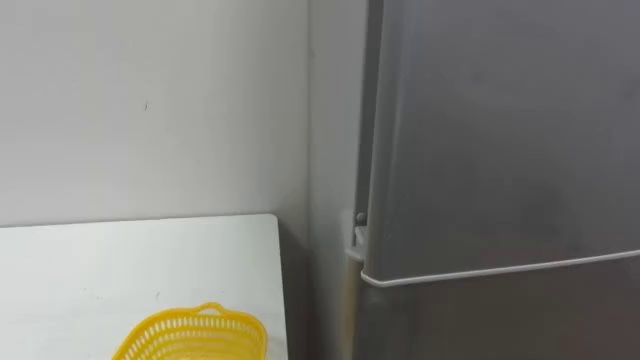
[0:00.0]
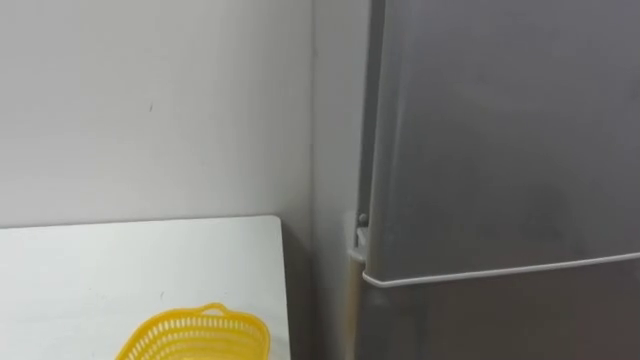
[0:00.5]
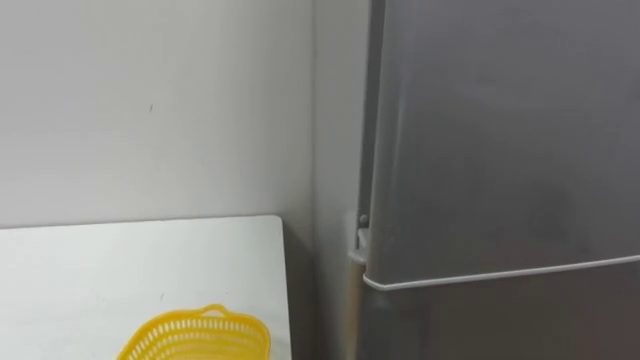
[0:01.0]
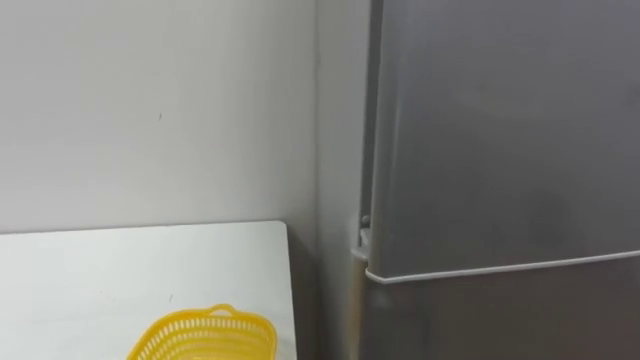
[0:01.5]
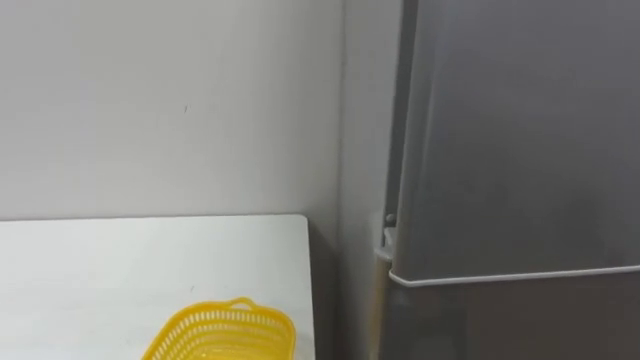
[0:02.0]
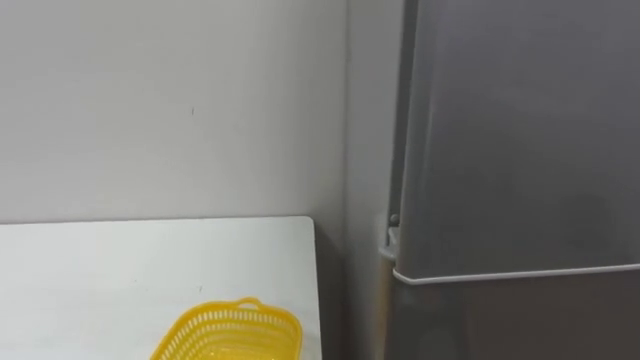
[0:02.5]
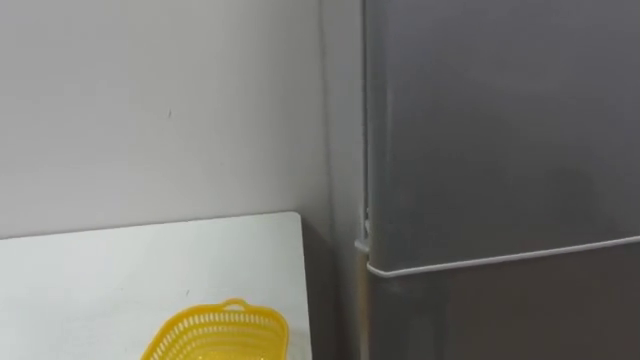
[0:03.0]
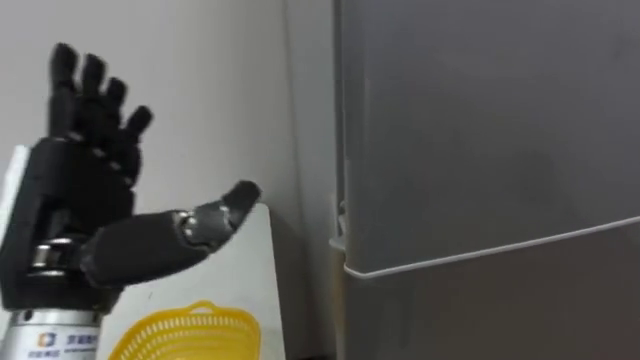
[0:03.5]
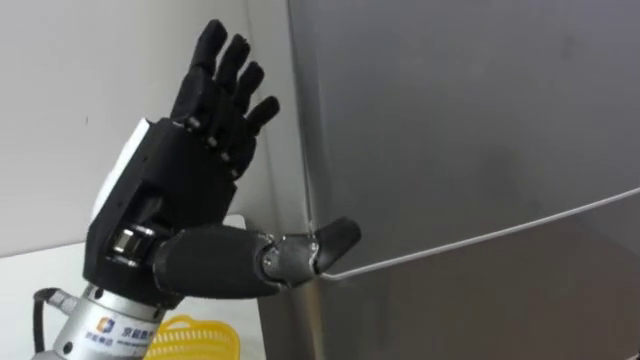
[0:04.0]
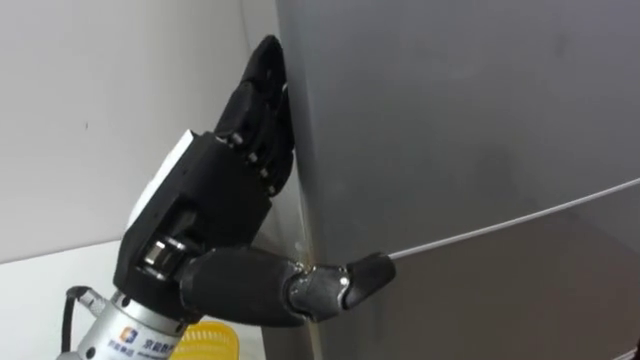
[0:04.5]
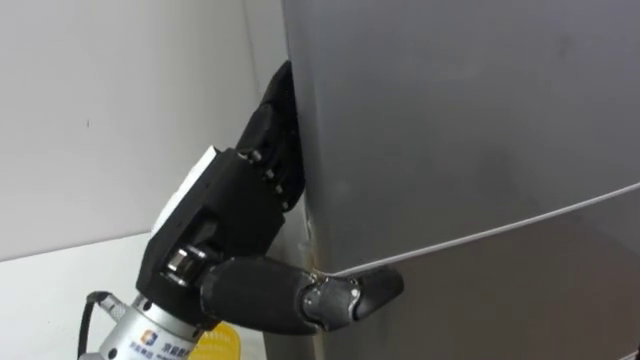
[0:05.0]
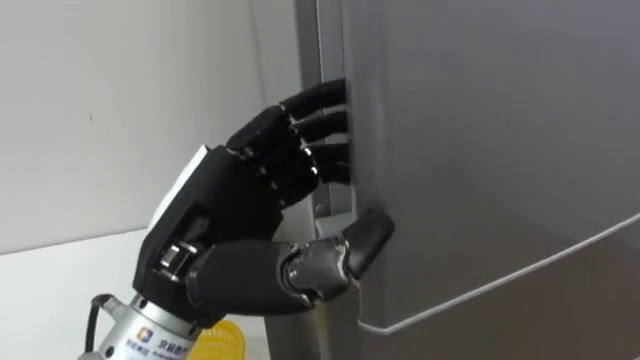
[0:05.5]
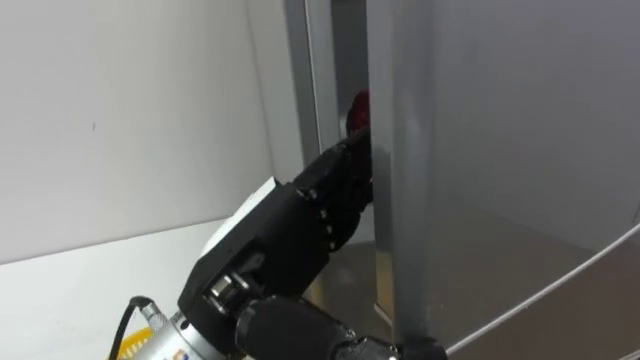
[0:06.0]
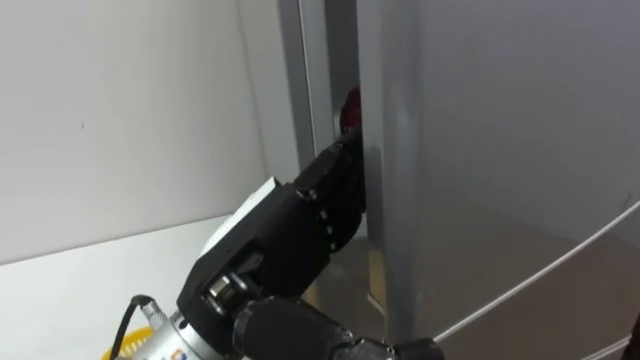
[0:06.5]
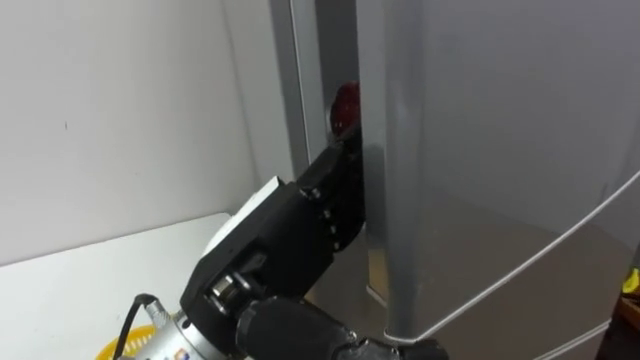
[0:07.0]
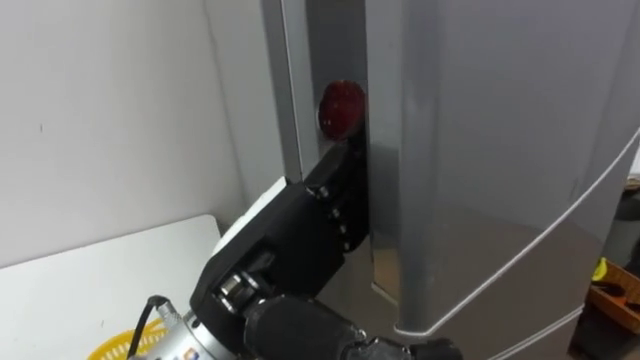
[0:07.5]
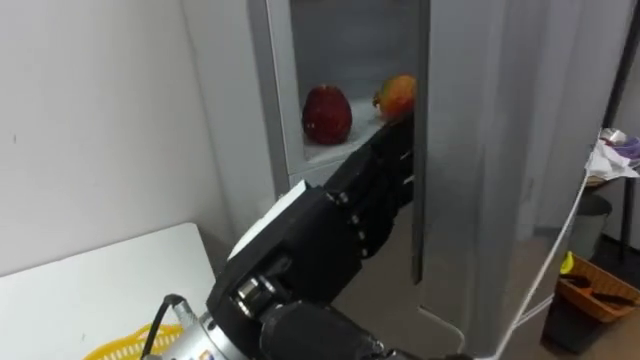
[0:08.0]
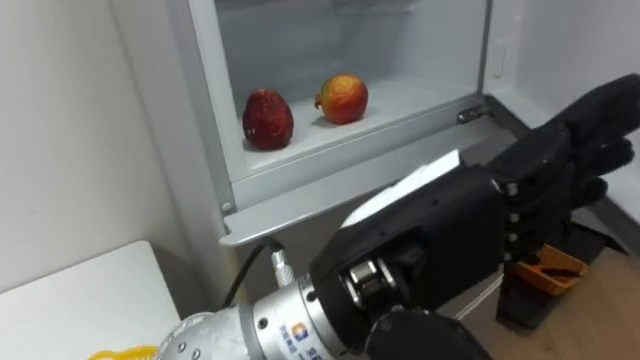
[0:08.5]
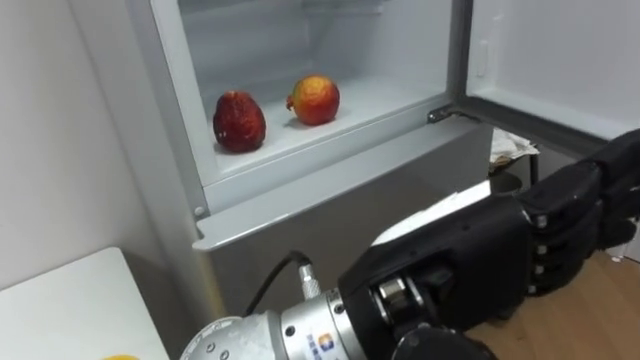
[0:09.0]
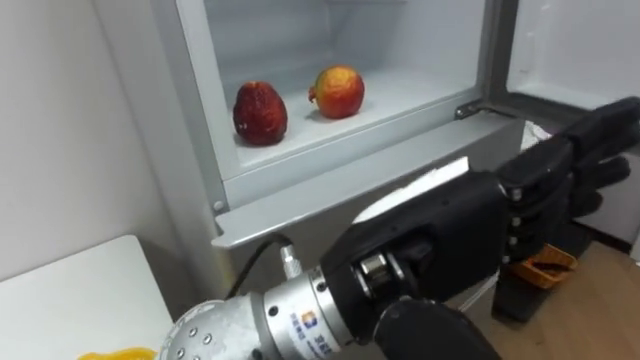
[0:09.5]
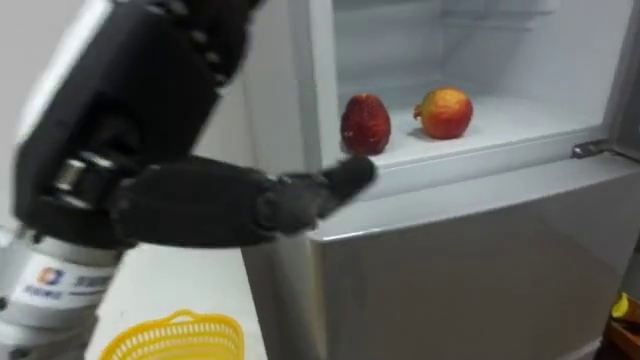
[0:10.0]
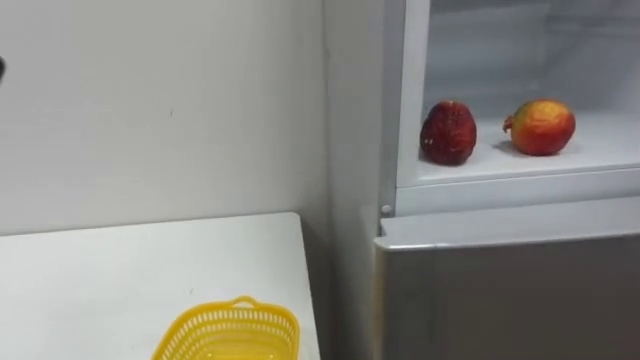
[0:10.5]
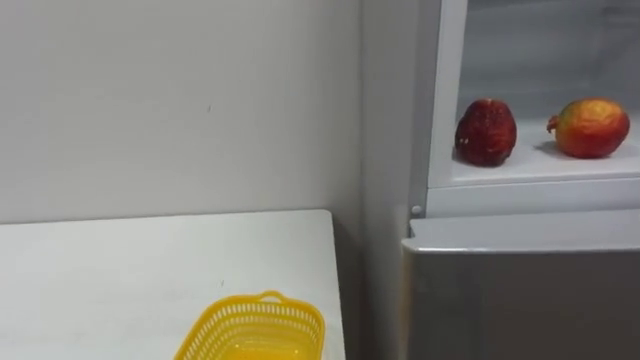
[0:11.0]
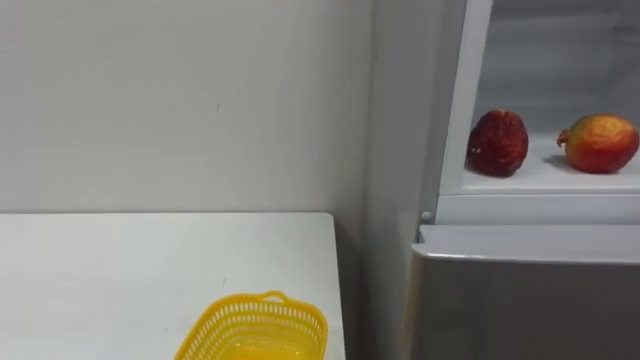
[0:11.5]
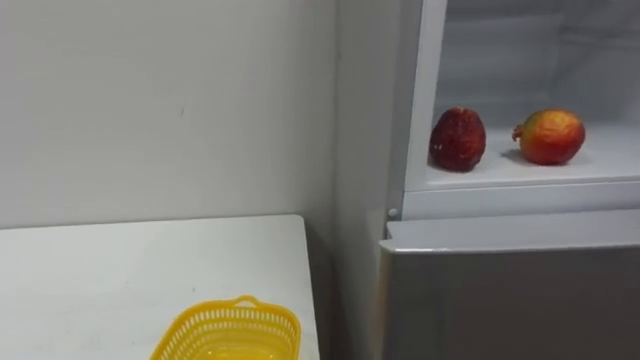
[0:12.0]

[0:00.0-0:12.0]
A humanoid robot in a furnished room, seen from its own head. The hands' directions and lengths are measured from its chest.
Task of the whole recording: Open the refrigerator door, take out the apple and the pomegranate, place them in the fruit basket on the left, and close the refrigerator door.
0:04.0 to 0:06.0: The left hand goes roughly 5 cm to the right, and closes, then opens again.
0:08.0 to 0:10.0: The left hand travels upward and to the left by some 15 cm.

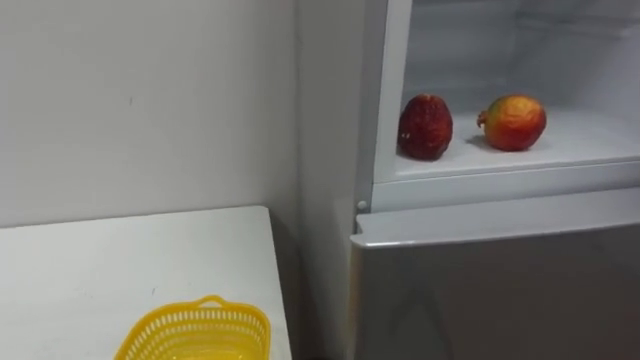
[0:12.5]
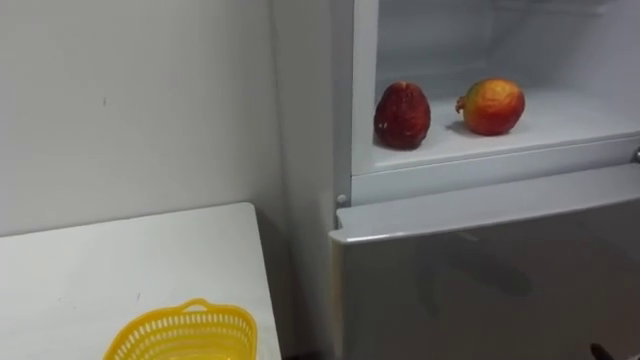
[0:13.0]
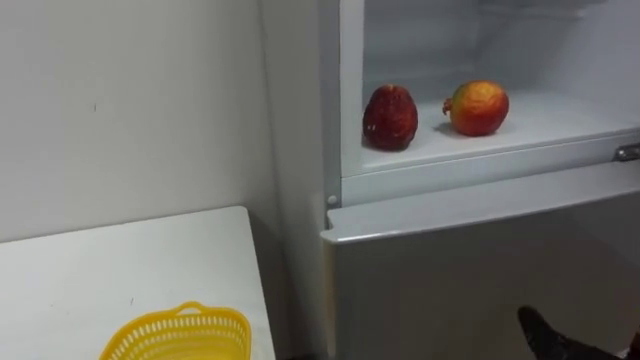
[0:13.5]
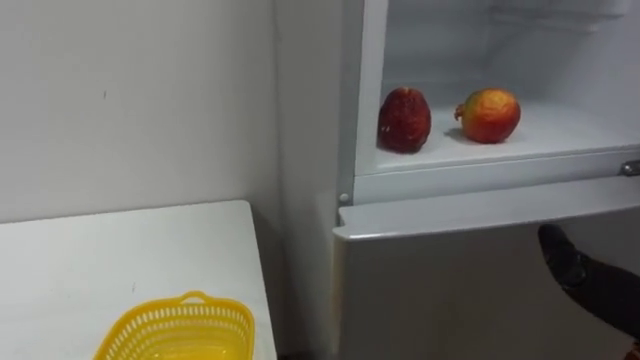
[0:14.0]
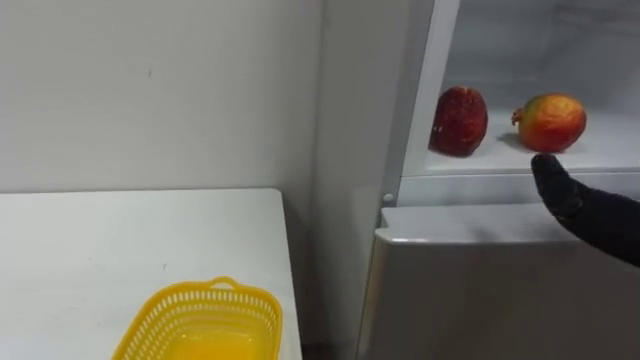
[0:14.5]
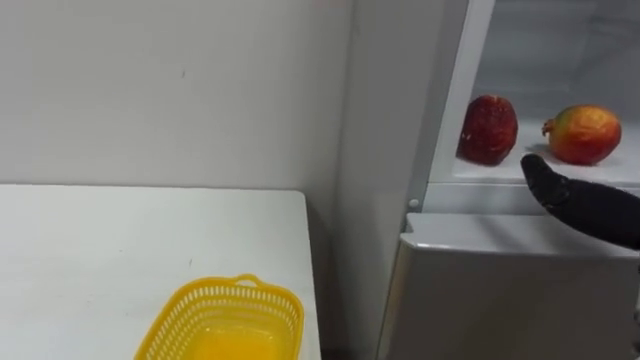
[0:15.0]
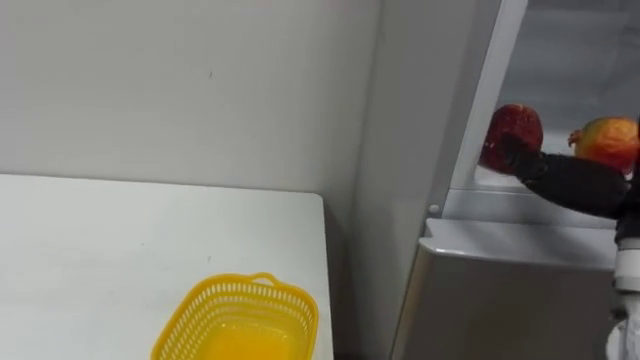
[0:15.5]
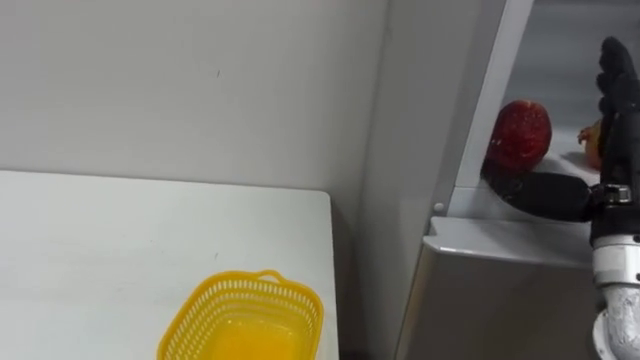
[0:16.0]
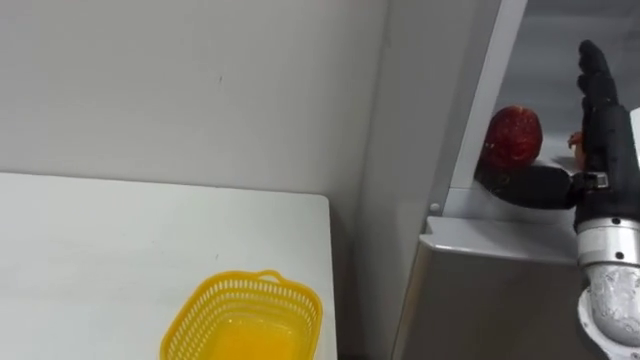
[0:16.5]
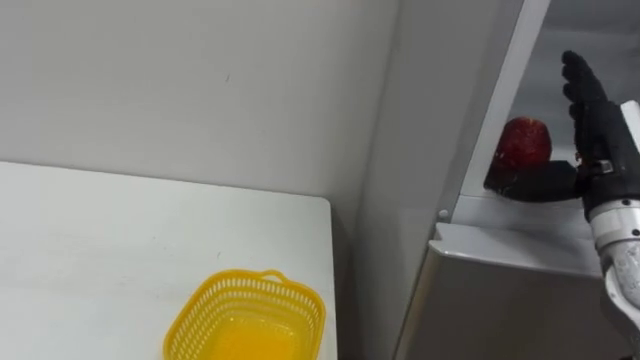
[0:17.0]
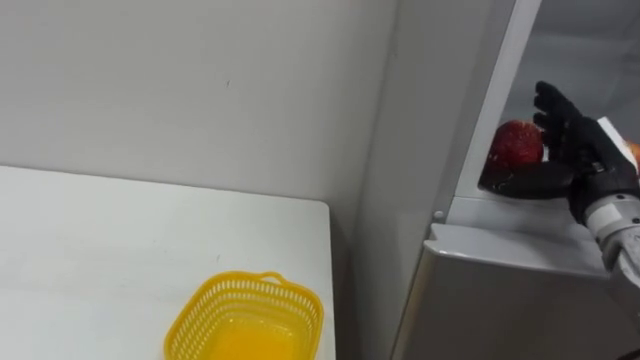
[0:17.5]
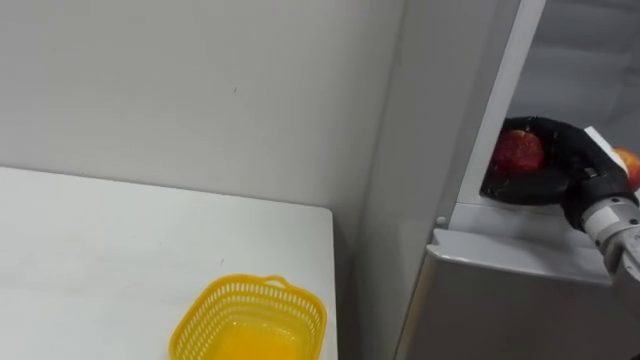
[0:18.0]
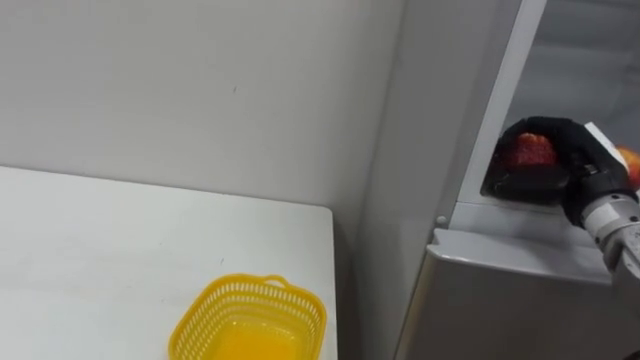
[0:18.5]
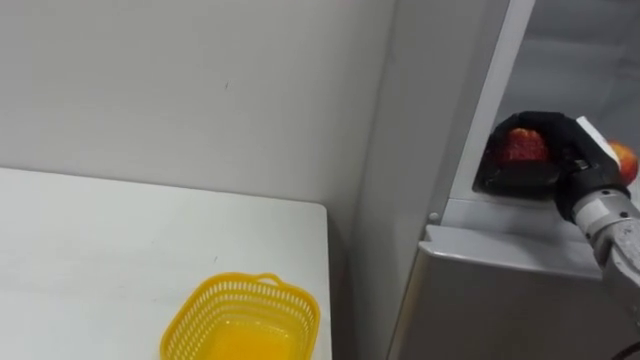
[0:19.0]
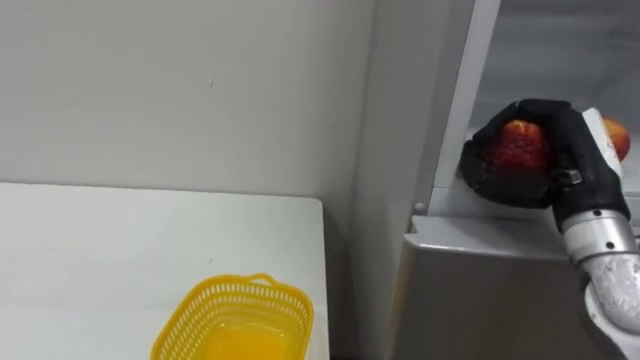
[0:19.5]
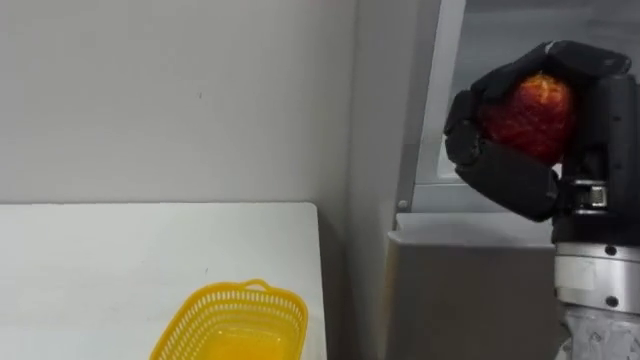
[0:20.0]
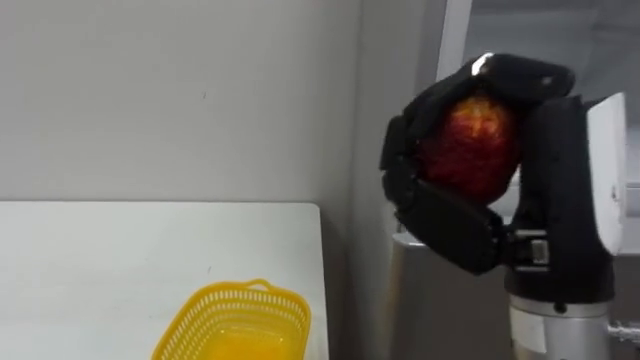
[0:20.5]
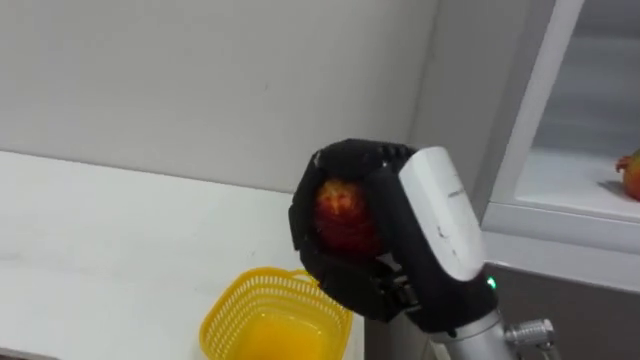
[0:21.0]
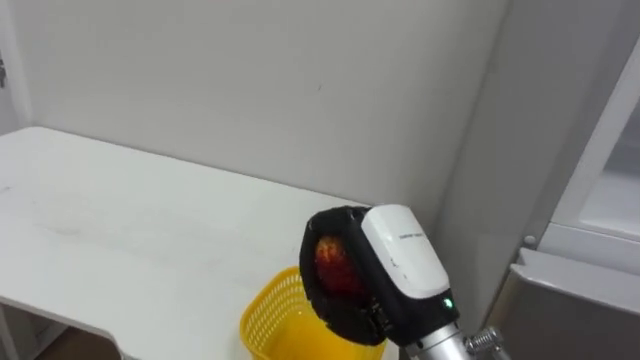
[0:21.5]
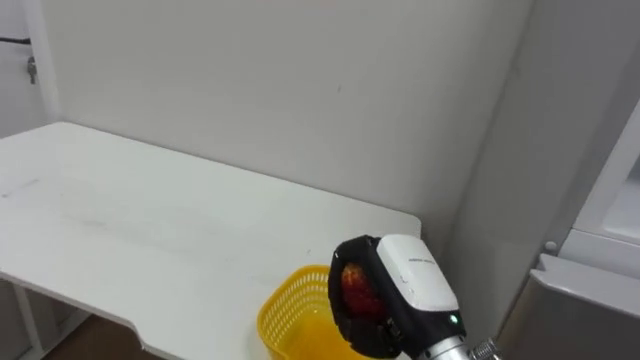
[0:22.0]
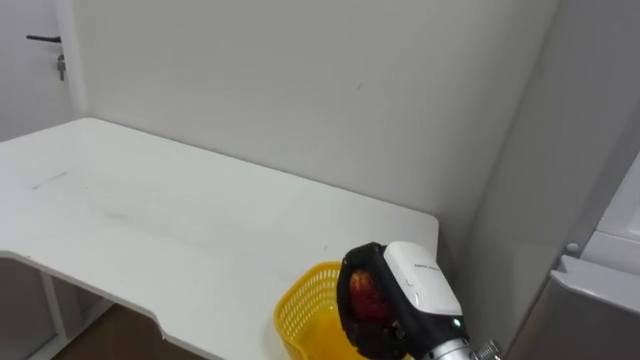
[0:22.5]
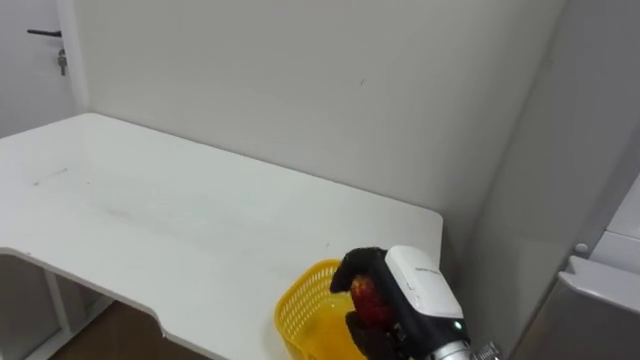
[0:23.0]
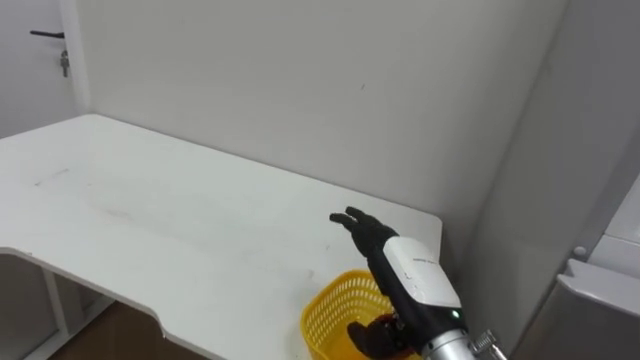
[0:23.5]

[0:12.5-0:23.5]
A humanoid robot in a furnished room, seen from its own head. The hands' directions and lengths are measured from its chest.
Task of the whole recording: Open the refrigerator door, take out the apple and the pomegranate, place them in the fruit basket on the left, and close the refrigerator door.
0:16.0 to 0:18.0: The right hand shifts some 10 cm forward, and closes its fingers.
0:18.0 to 0:20.0: The right hand goes about 20 cm backward, upward and to the left.
0:20.0 to 0:21.5: The right hand heads to the left and downward, covering approximately 15 cm.
0:21.5 to 0:23.5: The right hand is displaced downward by approximately 5 cm, and opens up.
